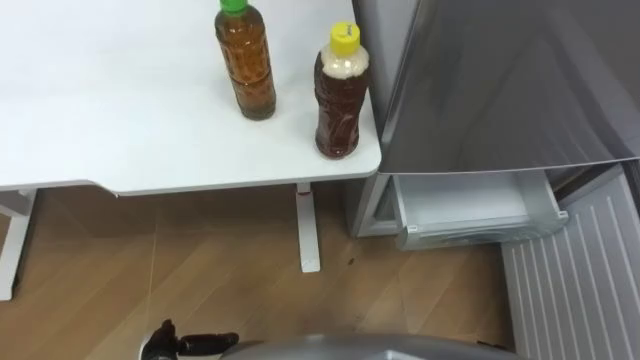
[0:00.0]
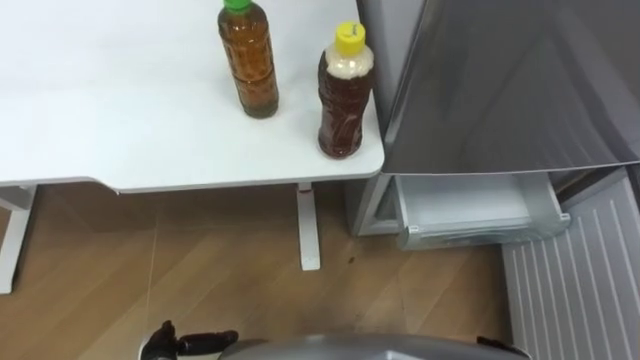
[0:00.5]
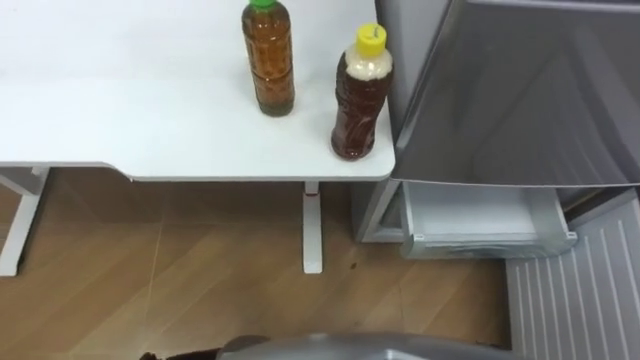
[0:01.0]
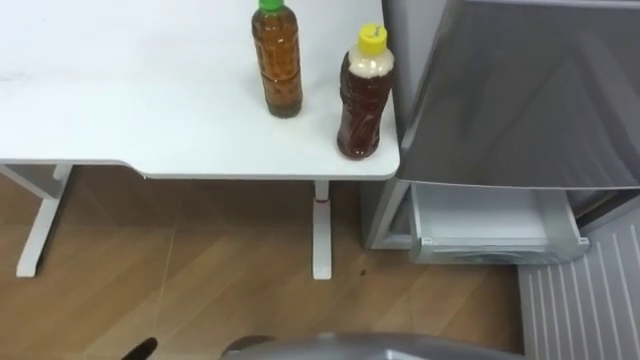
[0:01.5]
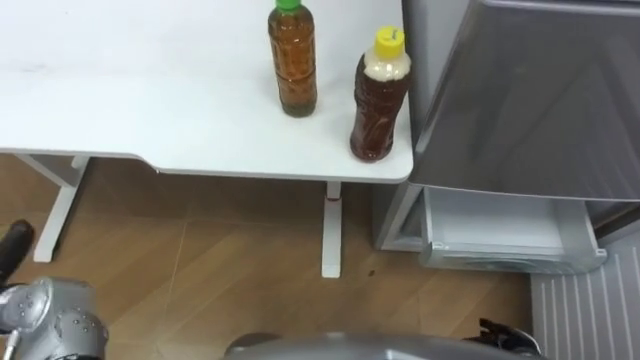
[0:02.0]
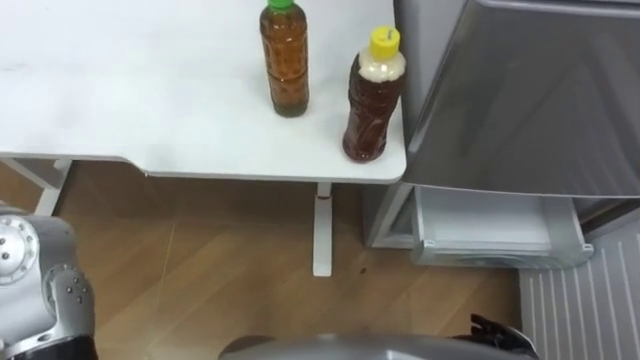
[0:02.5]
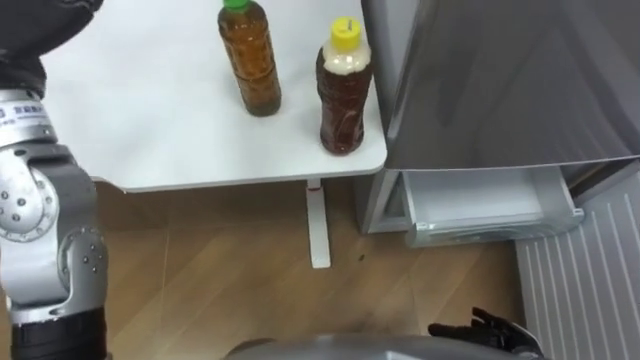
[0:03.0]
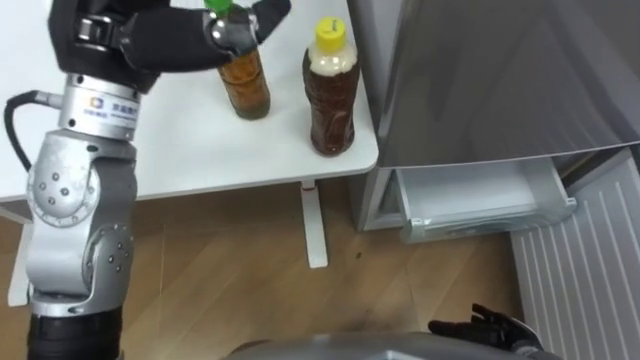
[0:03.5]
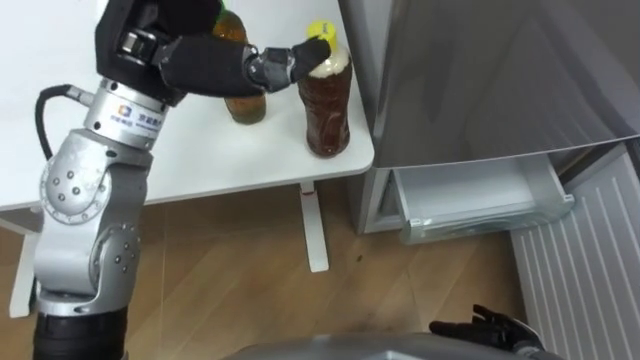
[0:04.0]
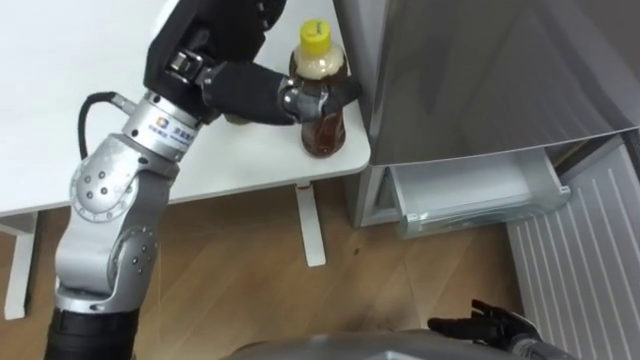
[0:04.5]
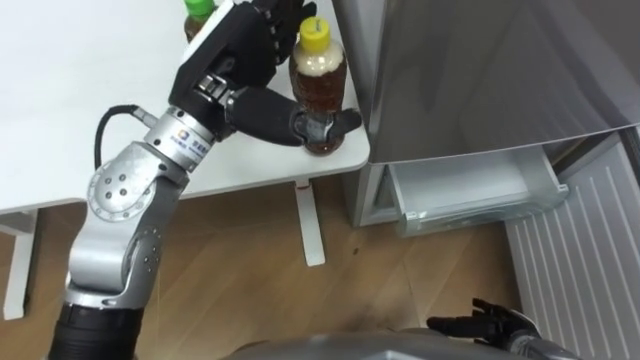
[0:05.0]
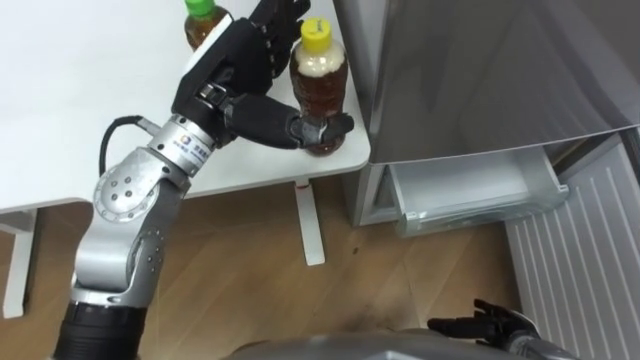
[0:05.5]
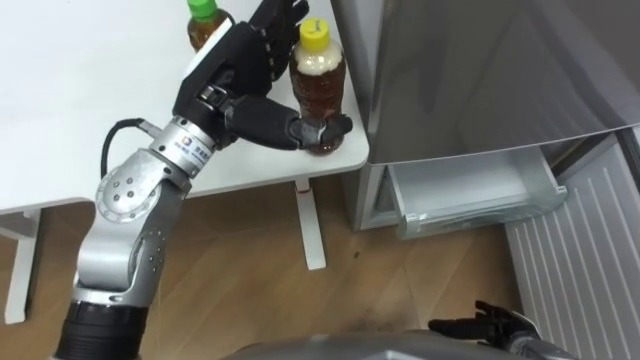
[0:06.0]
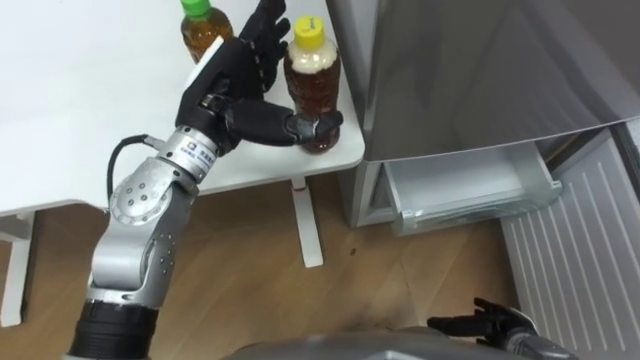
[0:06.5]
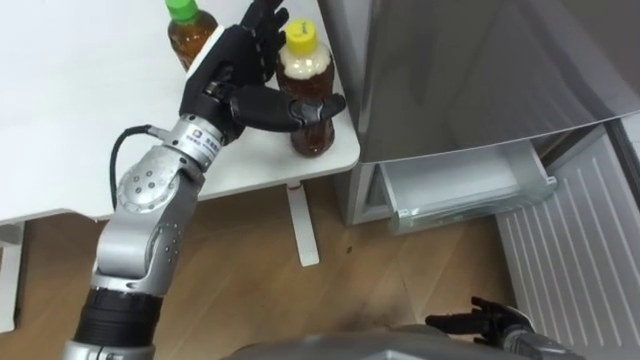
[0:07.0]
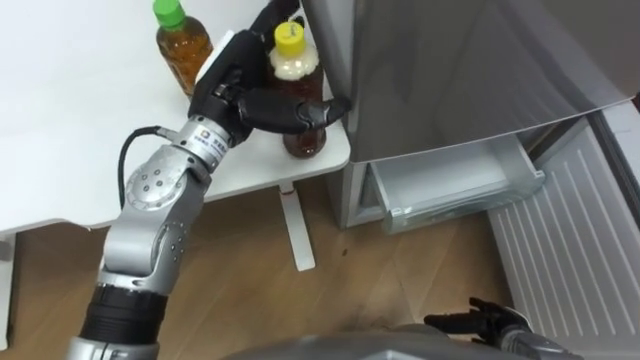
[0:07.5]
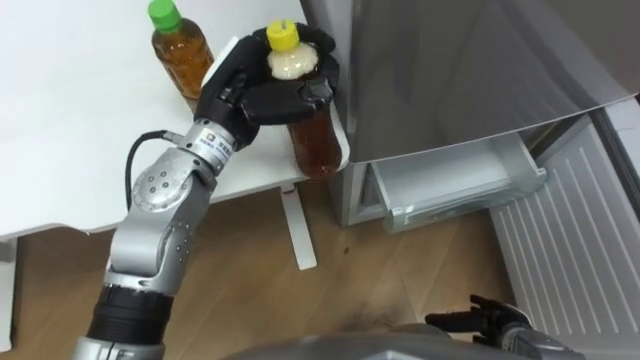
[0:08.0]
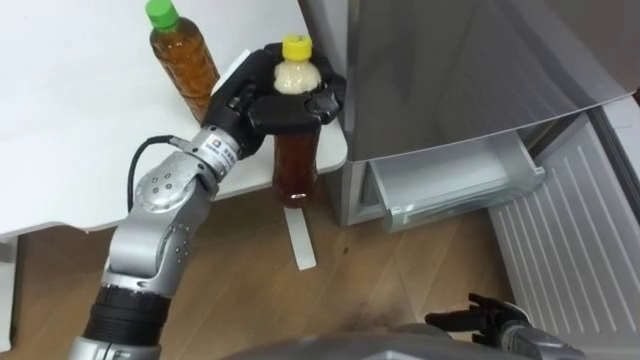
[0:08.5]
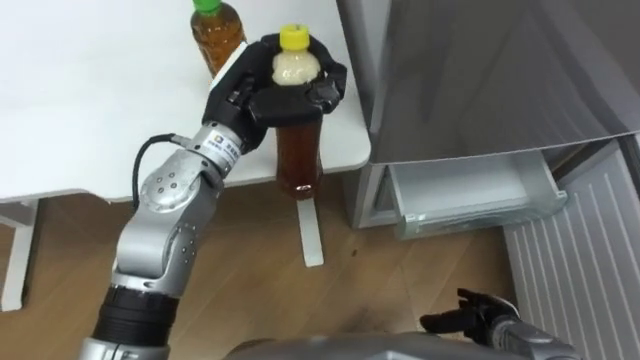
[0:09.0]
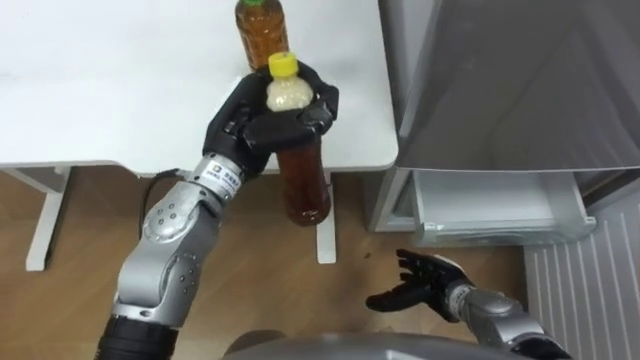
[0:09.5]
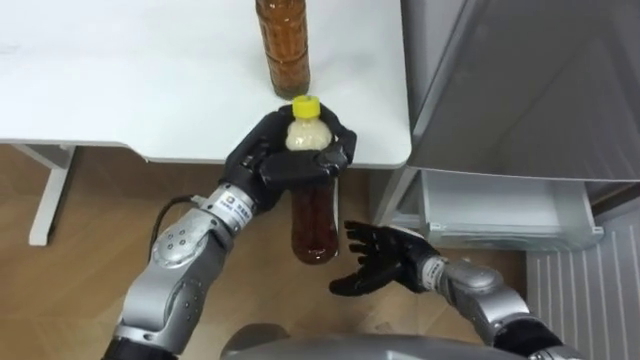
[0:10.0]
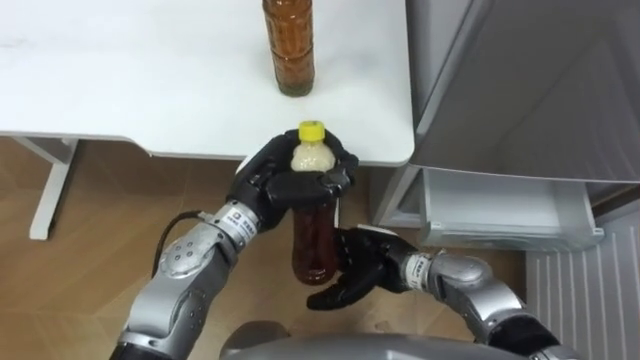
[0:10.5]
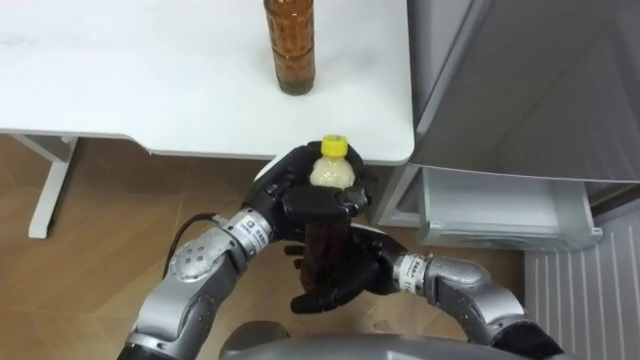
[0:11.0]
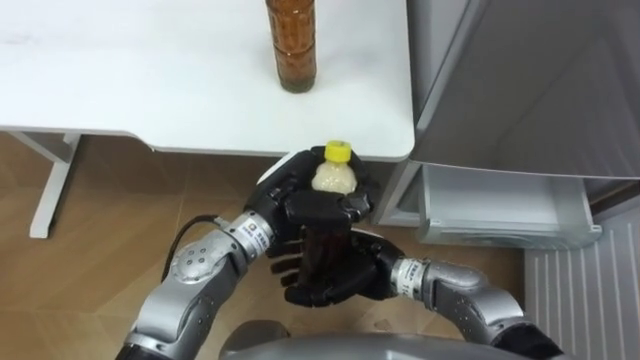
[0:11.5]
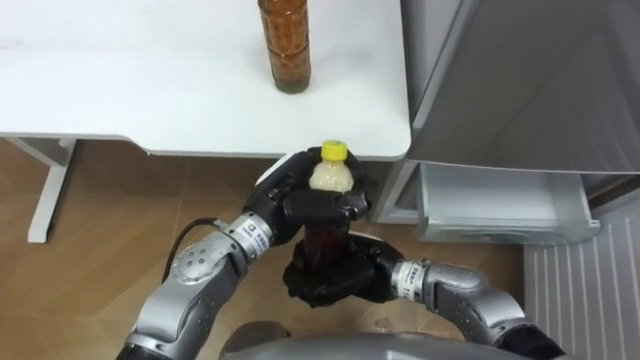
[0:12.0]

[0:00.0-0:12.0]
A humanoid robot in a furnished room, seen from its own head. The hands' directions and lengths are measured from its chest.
Task of the whole recording: Place the drink on the table on the bottom shelf of the refrigerator, then close the drawer and the refrigerator door.
0:04.0 to 0:06.0: The left hand moves downward, about 10 cm.
0:06.0 to 0:08.0: The left hand closes its fingers.
0:08.0 to 0:10.0: The left hand heads downward and backward, covering approximately 10 cm. Meanwhile the right hand is displaced to the left, forward and upward by approximately 20 cm.
0:10.0 to 0:12.0: The right hand goes roughly 10 cm to the left and upward, and closes up. The left hand changes place by approximately 5 cm.

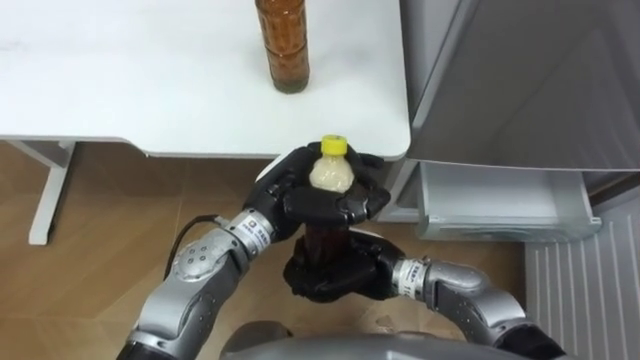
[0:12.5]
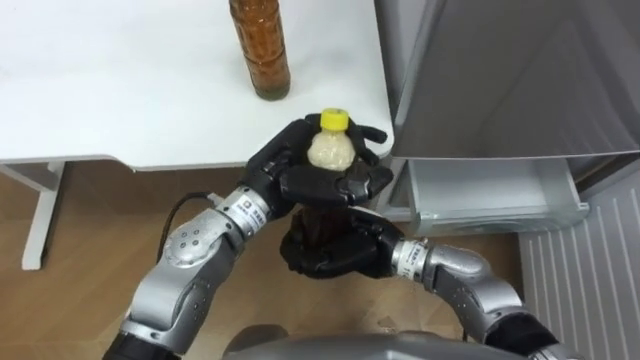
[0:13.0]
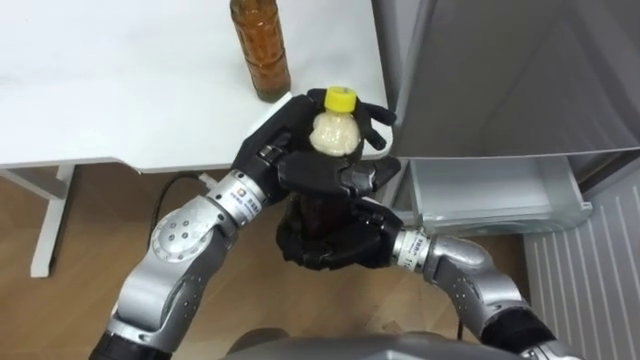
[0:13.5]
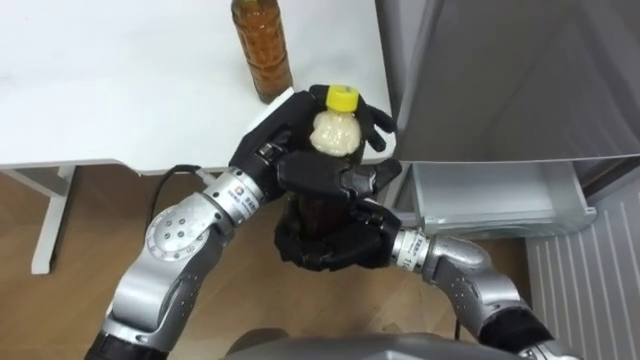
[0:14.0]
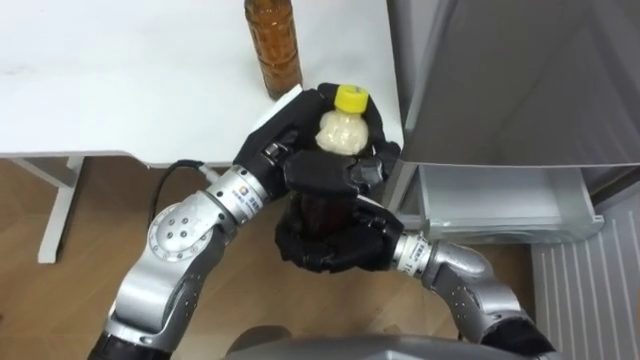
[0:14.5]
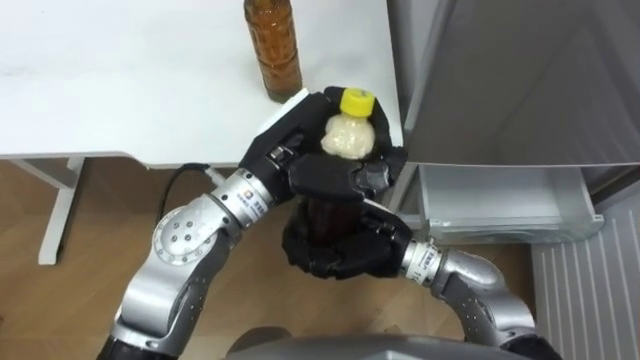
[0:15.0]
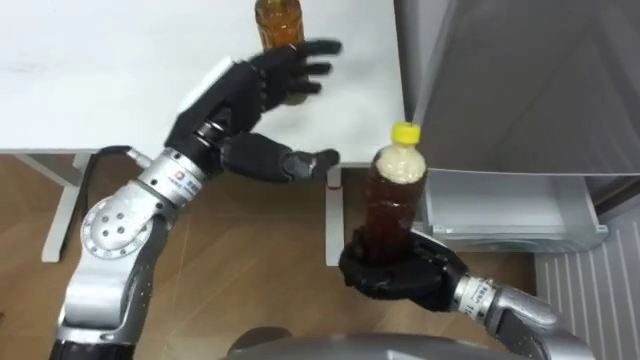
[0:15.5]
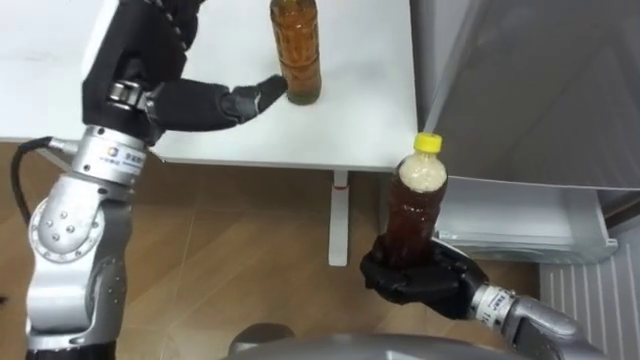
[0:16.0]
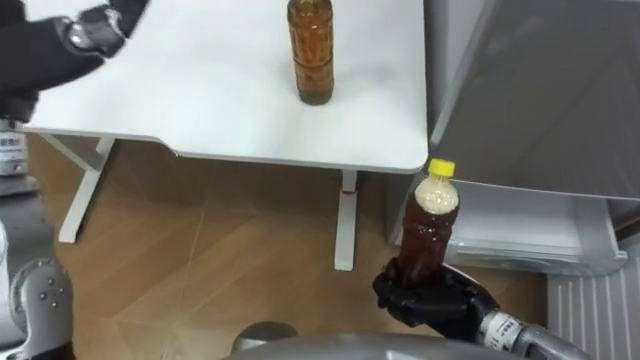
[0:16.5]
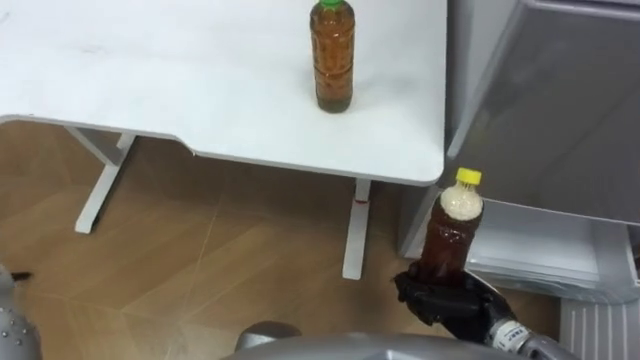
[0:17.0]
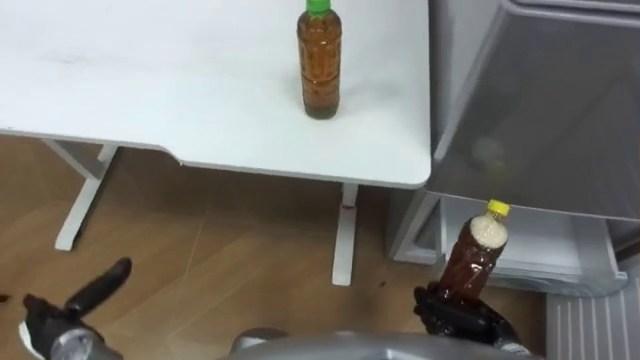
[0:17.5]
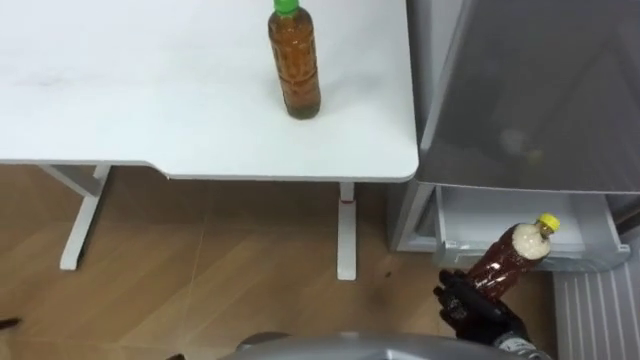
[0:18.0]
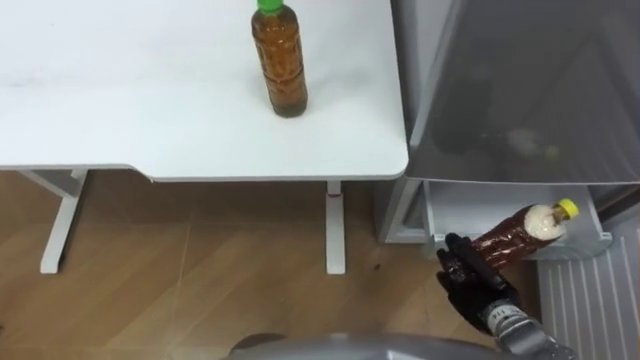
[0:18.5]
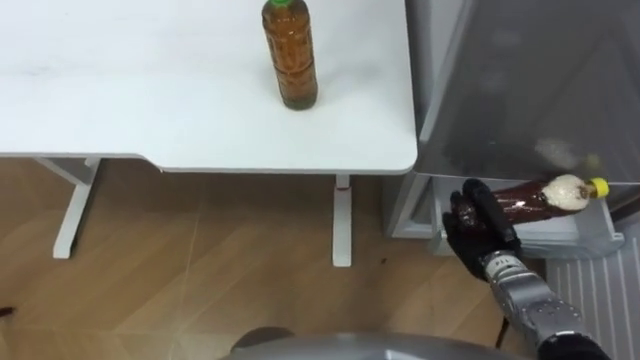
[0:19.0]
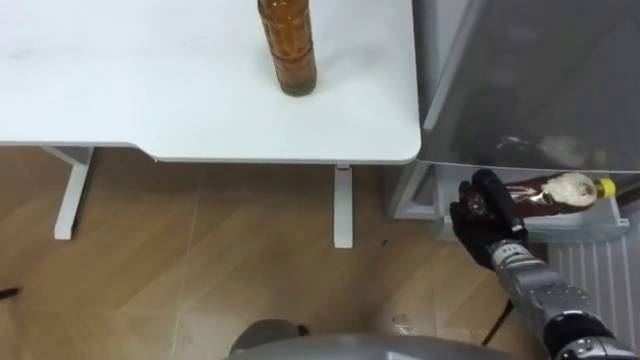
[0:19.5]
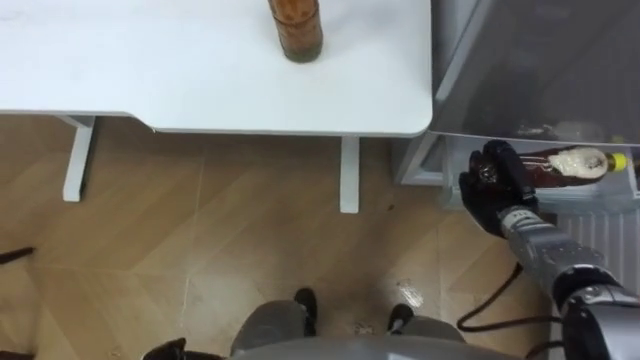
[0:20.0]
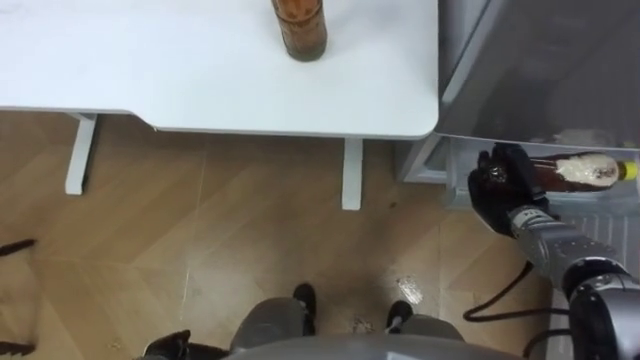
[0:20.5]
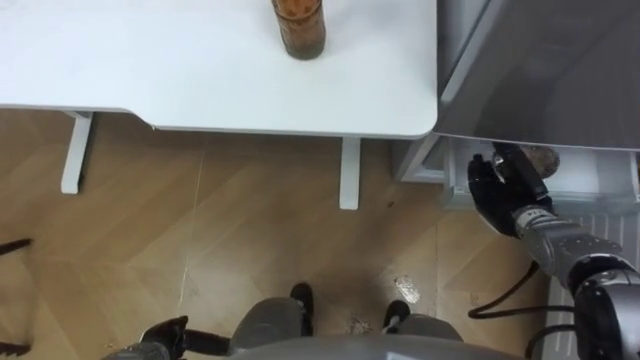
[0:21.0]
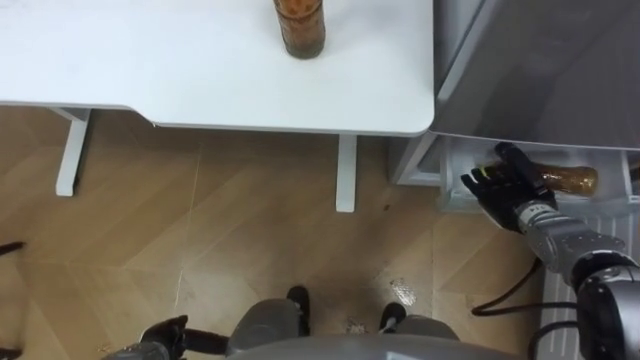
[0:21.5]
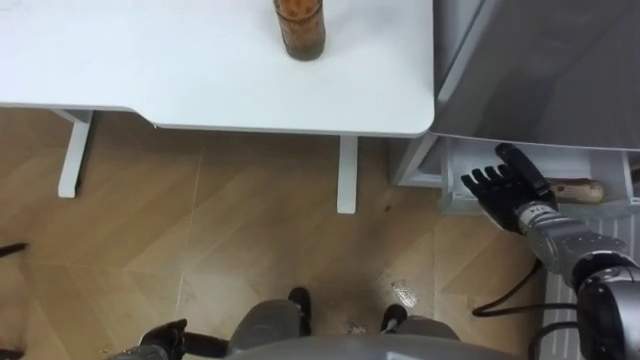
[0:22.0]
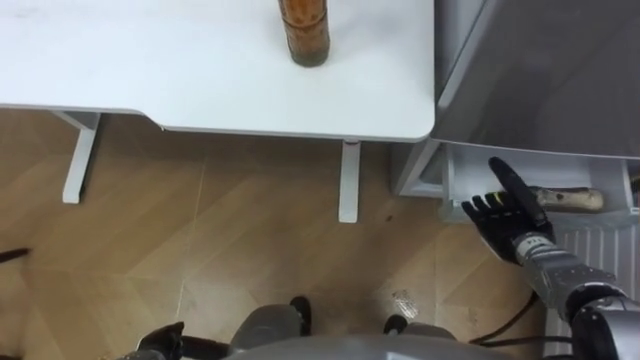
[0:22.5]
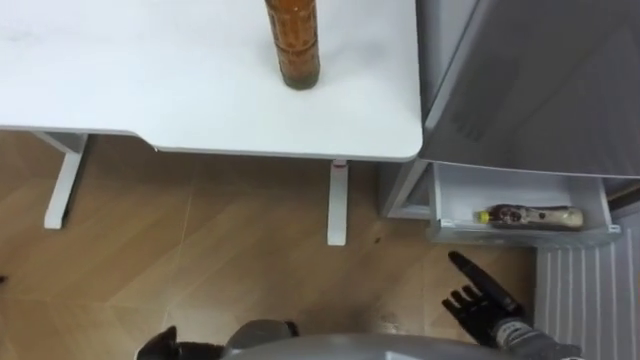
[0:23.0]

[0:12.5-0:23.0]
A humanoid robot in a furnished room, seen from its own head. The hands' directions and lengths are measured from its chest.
Task of the whole recording: Place the drink on the table on the bottom shelf of the refrigerator, then close the drawer and the refrigerator door.
0:12.5 to 0:14.5: The right hand travels upward by about 5 cm, while the left hand goes approximately 10 cm upward.
0:14.5 to 0:16.5: The right hand travels to the right, downward and backward by about 15 cm.
0:16.5 to 0:19.0: The right hand heads forward and to the right, covering roughly 10 cm.
0:19.0 to 0:21.0: The right hand travels forward by some 5 cm, and opens.
0:21.0 to 0:23.0: The right hand goes approximately 15 cm backward and downward.
